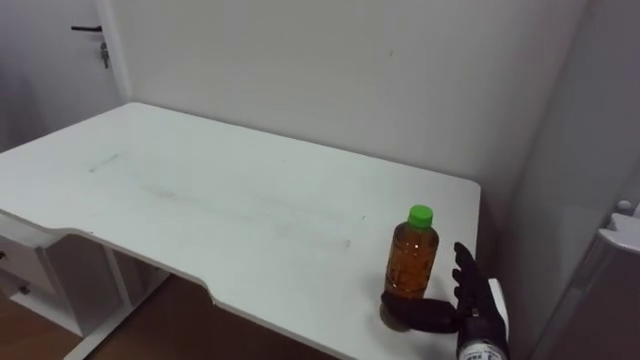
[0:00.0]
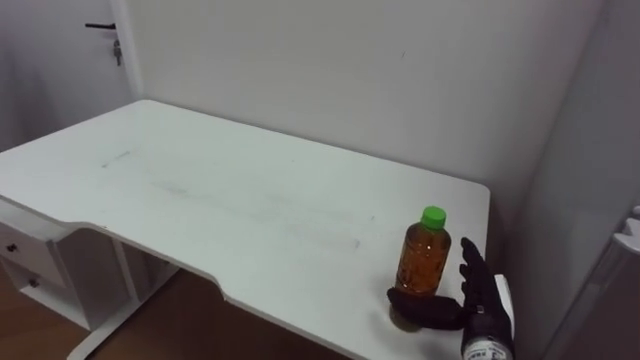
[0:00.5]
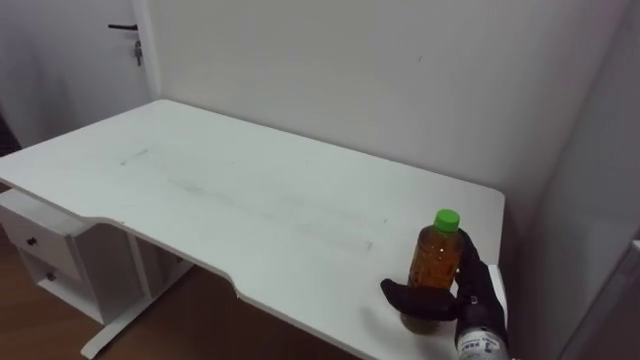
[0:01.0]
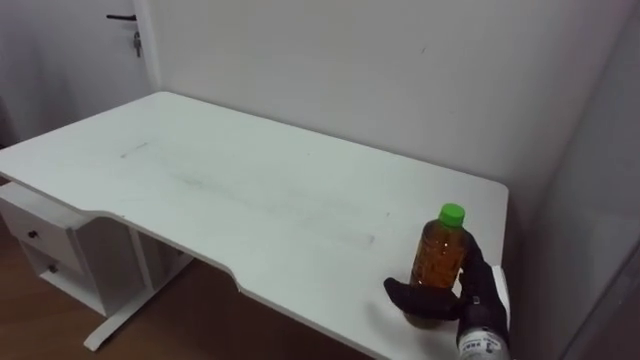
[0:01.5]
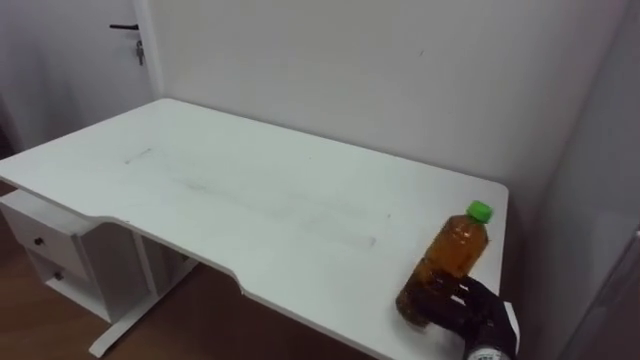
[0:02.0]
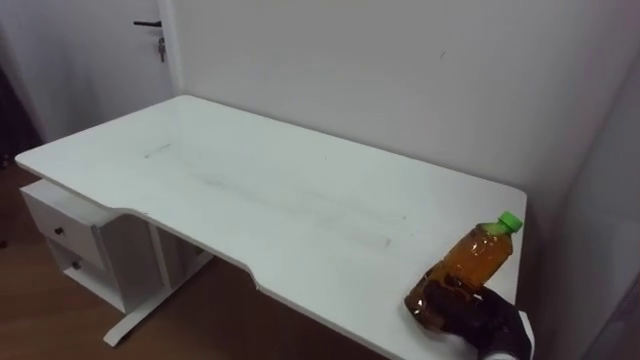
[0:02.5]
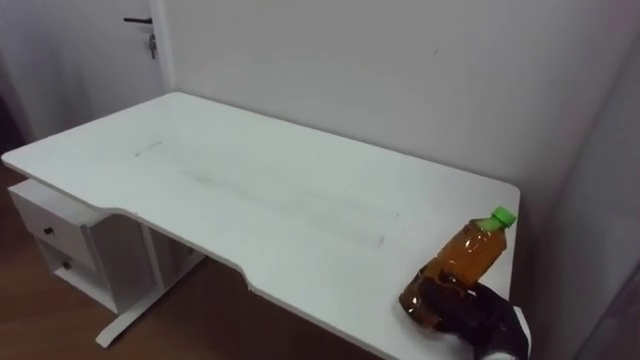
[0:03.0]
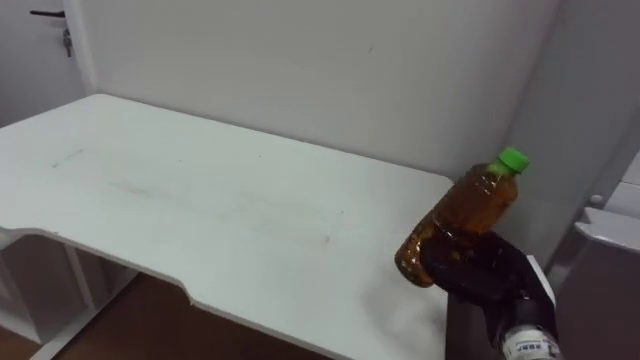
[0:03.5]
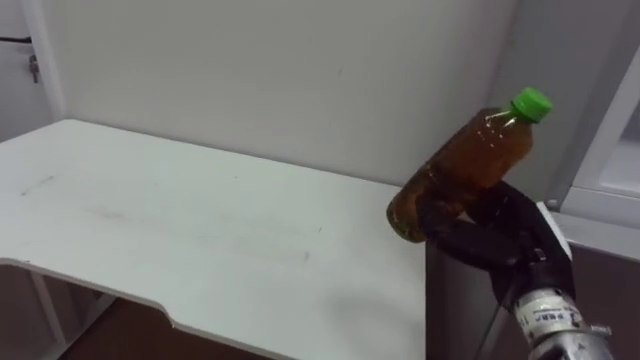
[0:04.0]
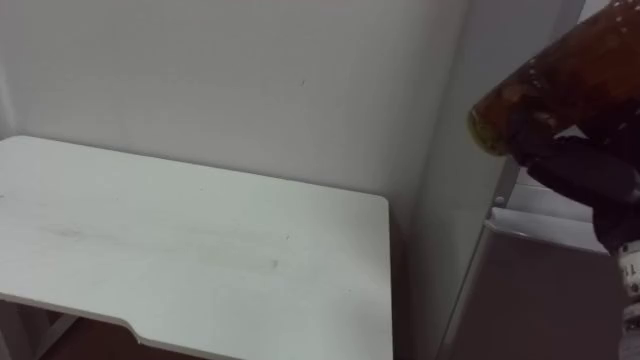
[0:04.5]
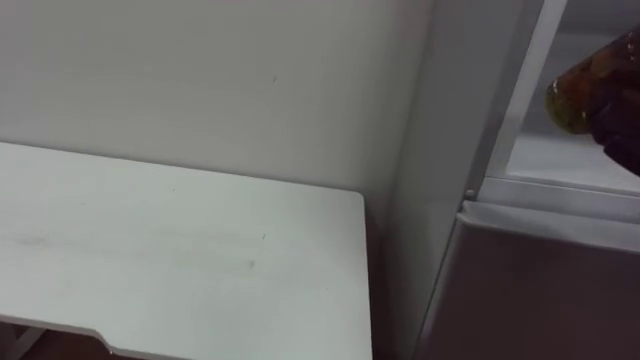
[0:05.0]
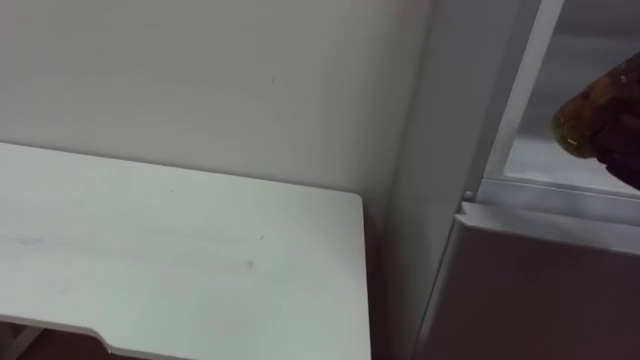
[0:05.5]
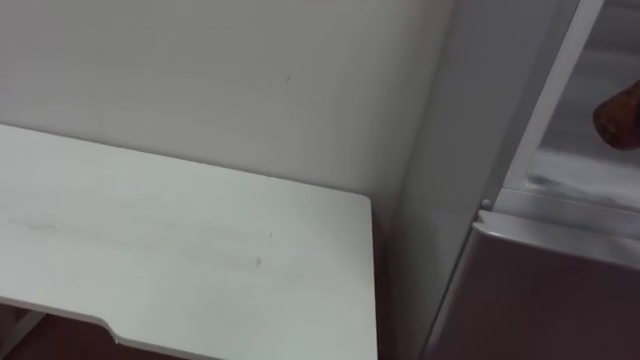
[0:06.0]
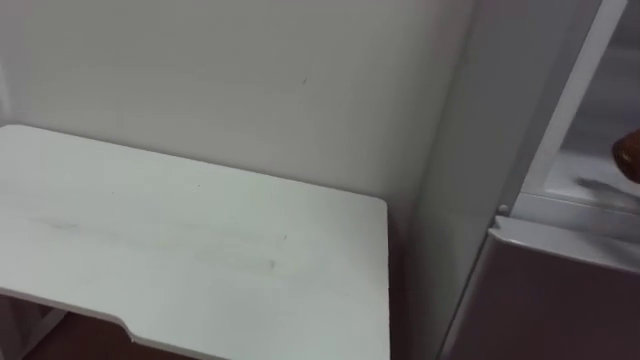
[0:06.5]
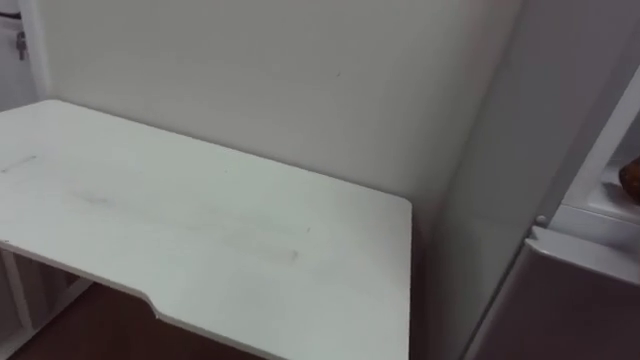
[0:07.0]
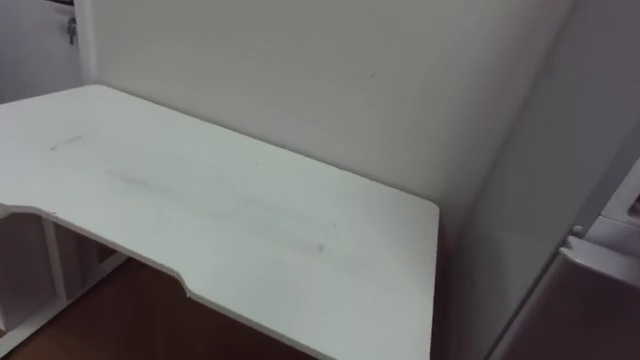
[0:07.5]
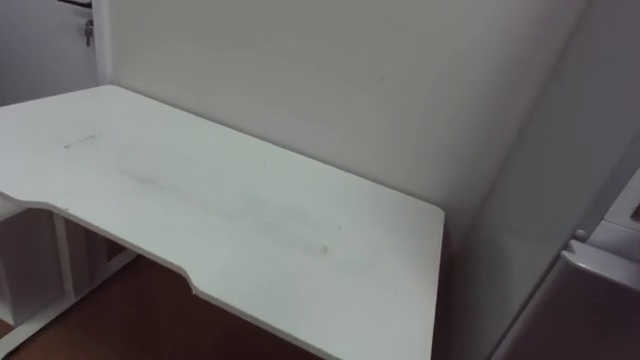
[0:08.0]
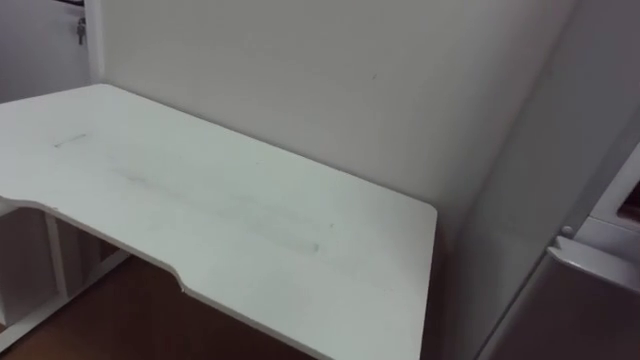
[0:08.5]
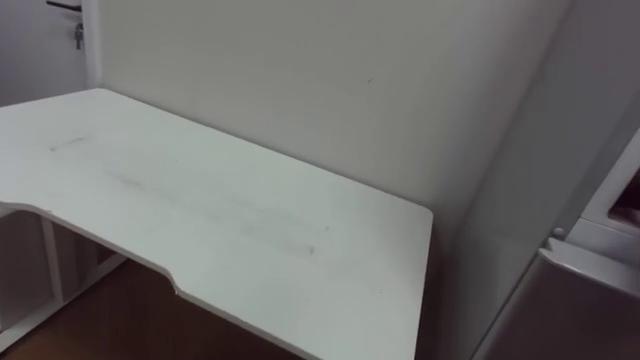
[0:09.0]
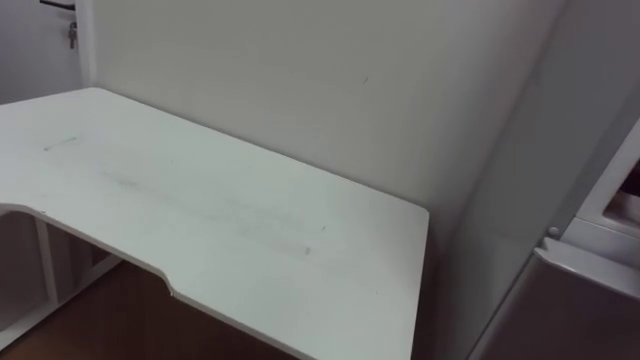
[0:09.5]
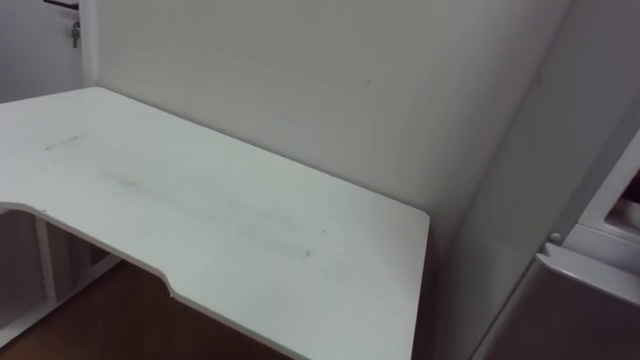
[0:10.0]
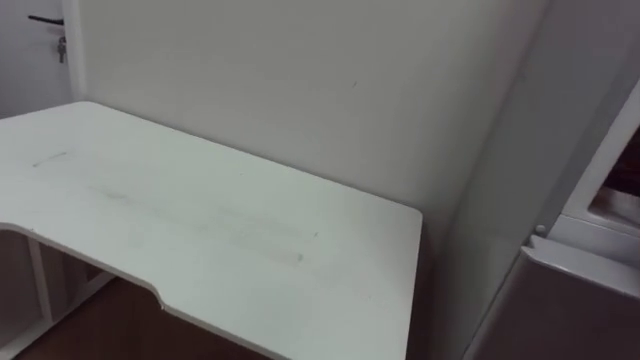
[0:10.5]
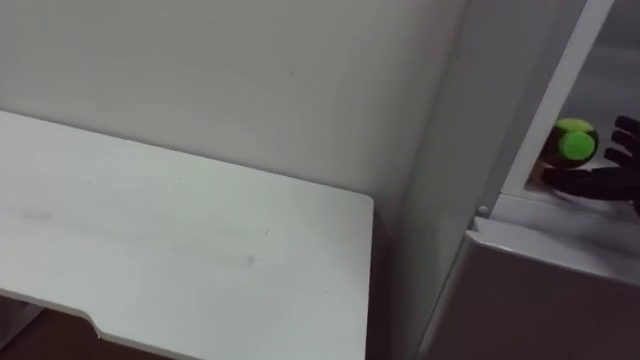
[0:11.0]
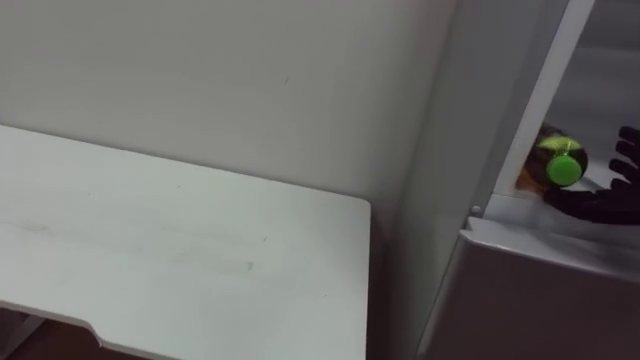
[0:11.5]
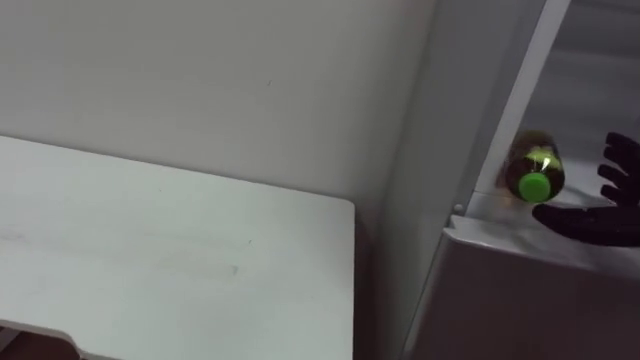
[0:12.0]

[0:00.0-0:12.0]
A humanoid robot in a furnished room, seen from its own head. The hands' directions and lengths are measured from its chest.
Task of the whole recording: Open the upper refrigerator door, put the drink from the table into the refrigerator, and then close the refrigerator door.
0:00.0 to 0:02.0: The right hand closes up.
0:02.0 to 0:04.0: The right hand shifts roughly 15 cm upward.

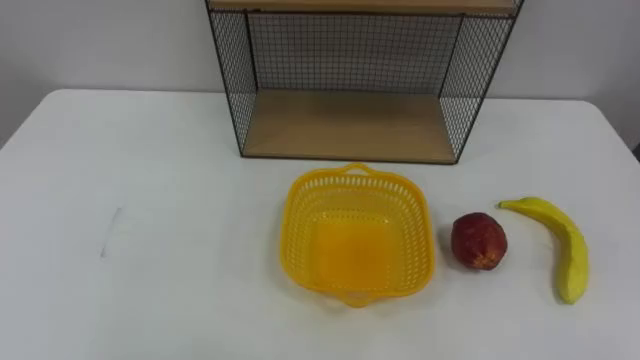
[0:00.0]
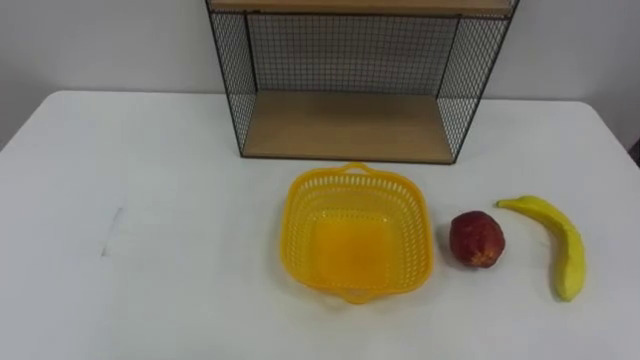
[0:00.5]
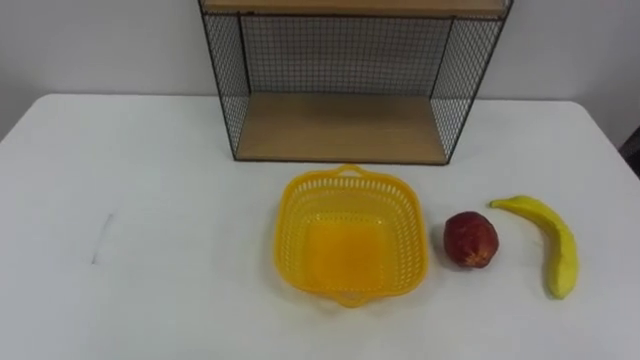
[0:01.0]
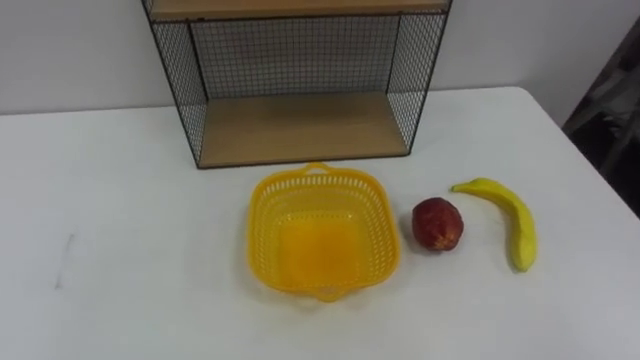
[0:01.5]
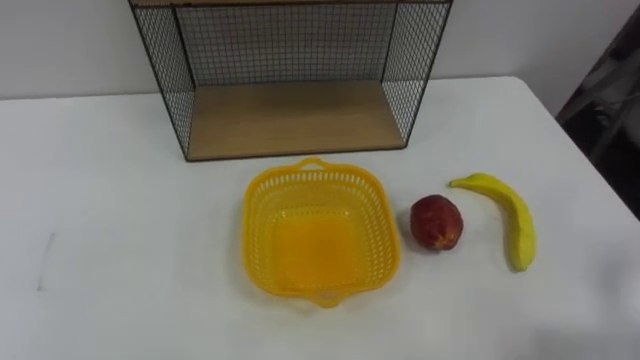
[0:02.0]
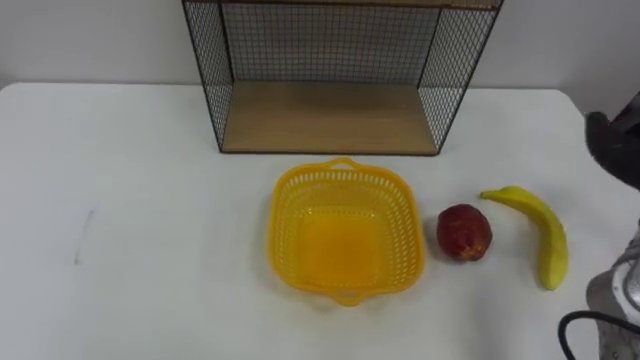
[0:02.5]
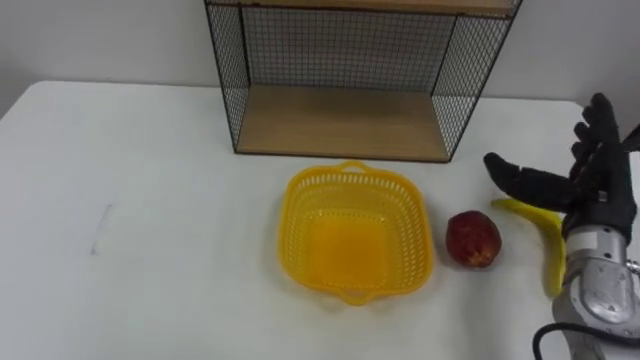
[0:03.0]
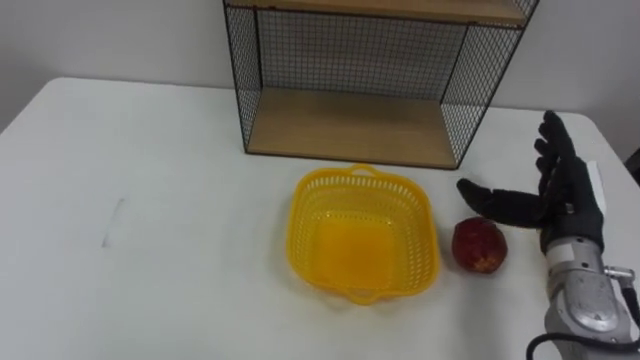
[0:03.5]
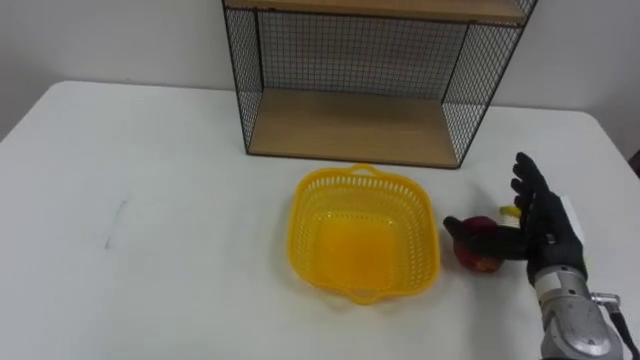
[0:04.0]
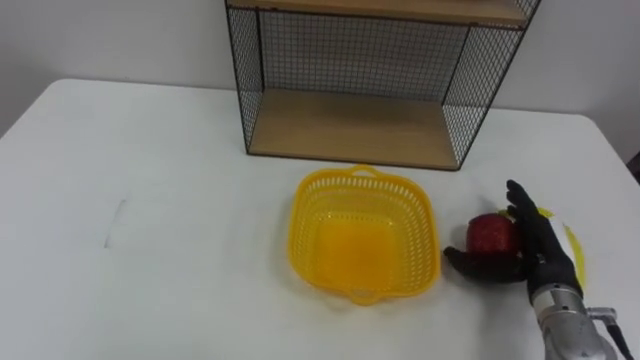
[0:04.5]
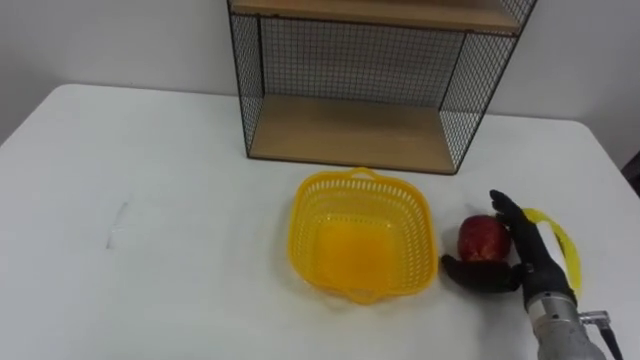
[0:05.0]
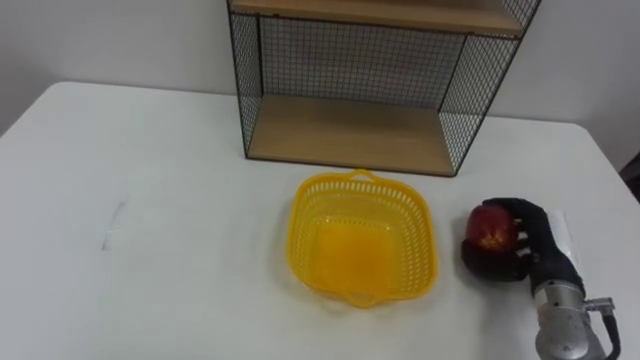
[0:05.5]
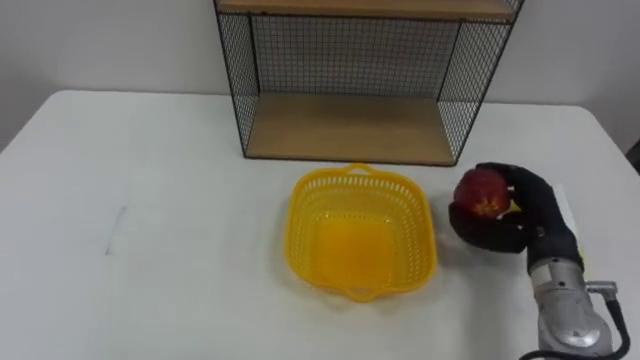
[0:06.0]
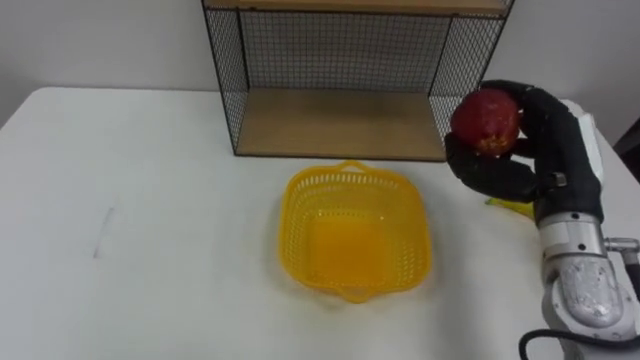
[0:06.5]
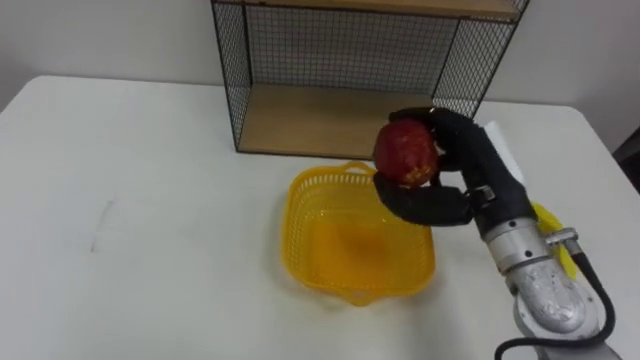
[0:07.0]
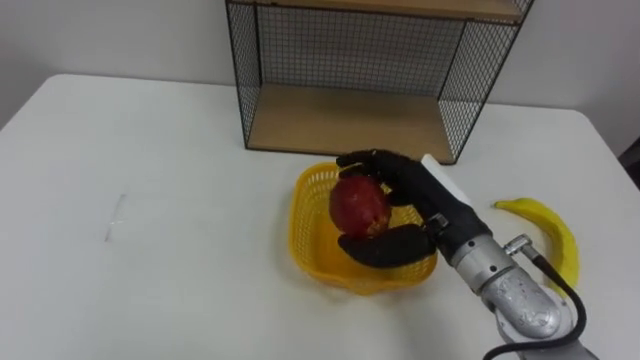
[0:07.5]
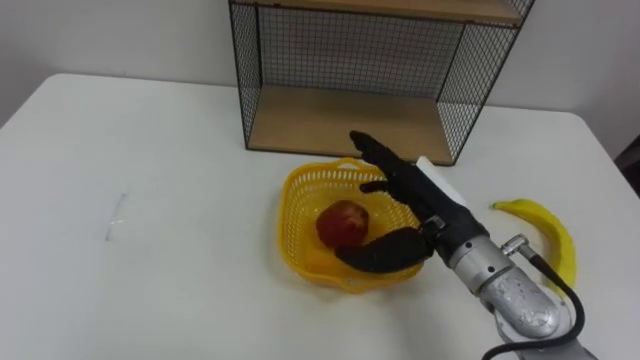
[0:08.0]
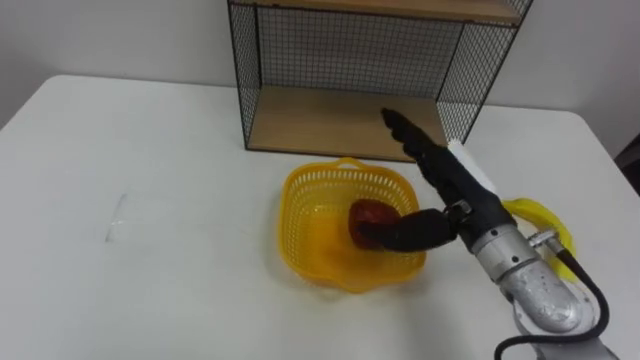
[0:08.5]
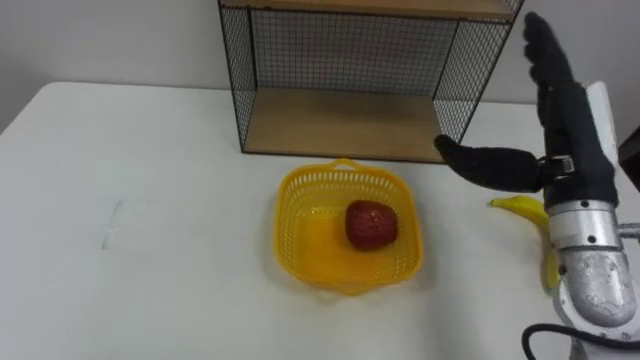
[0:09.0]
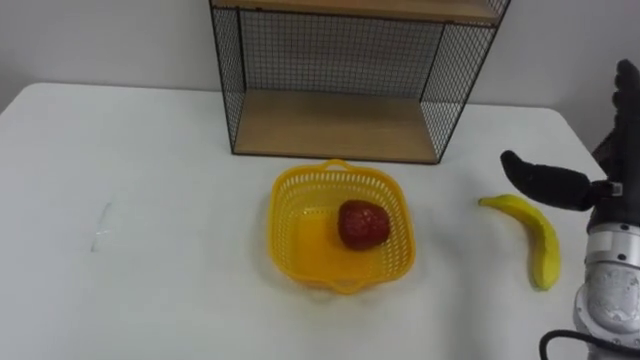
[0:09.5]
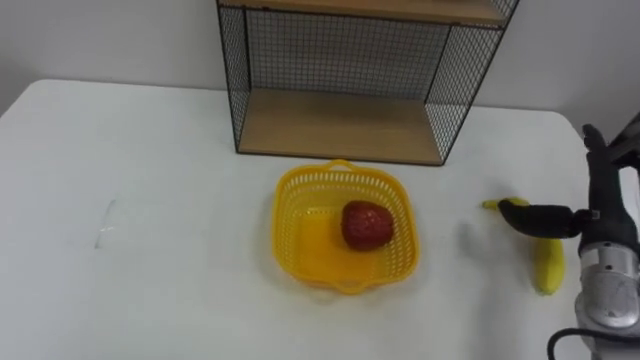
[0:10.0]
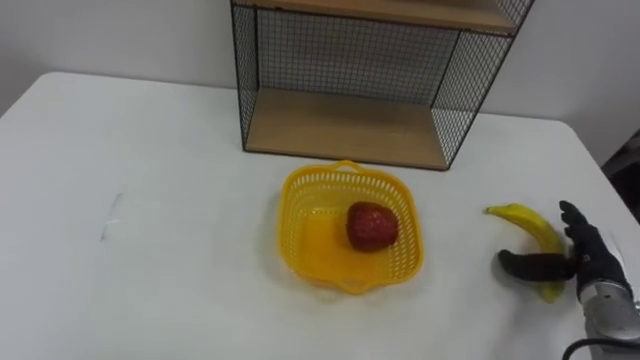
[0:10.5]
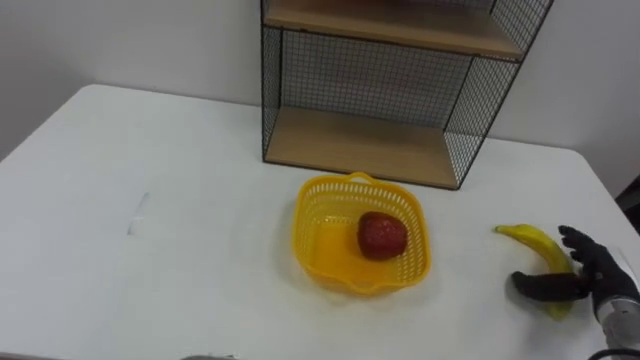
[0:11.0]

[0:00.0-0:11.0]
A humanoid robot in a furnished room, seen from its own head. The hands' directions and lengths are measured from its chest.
Task of the whole recording: Put the fruit on the table into the basket, then place the basket on the shelf.
0:03.5 to 0:05.5: The right hand travels downward by about 10 cm, and closes.
0:05.5 to 0:07.5: The right hand travels to the left and upward by some 20 cm.
0:07.5 to 0:09.0: The right hand is displaced to the right and upward by approximately 15 cm, and opens its fingers.
0:09.0 to 0:11.0: The right hand travels downward and to the right by roughly 25 cm.
